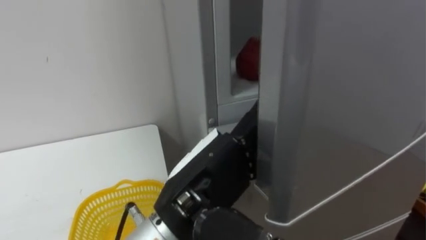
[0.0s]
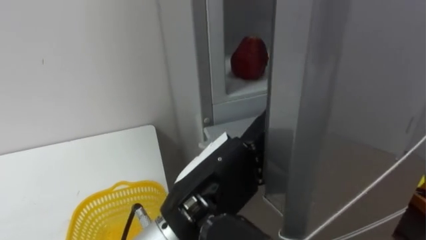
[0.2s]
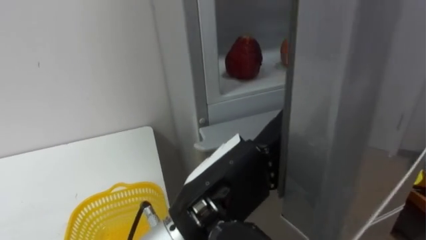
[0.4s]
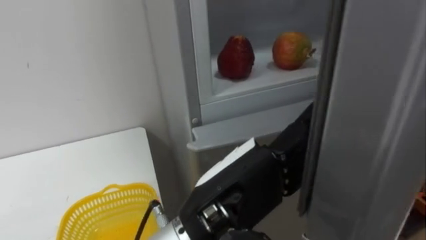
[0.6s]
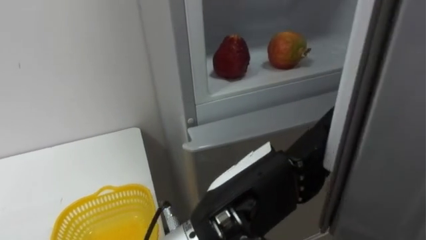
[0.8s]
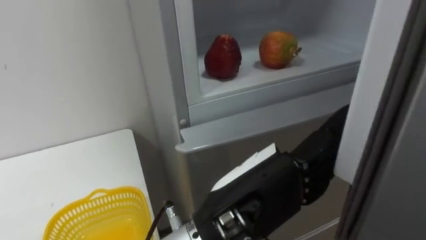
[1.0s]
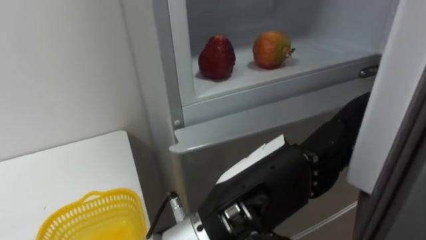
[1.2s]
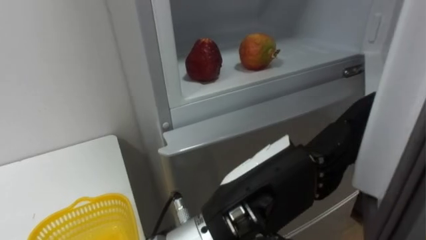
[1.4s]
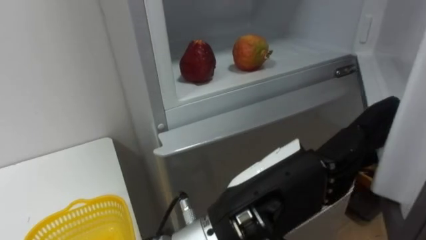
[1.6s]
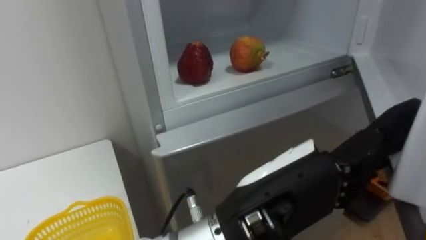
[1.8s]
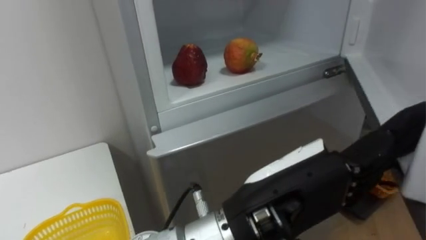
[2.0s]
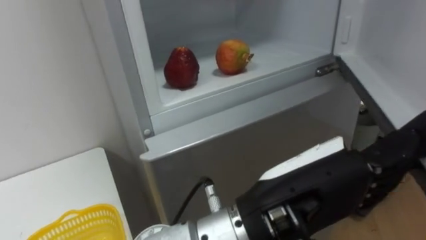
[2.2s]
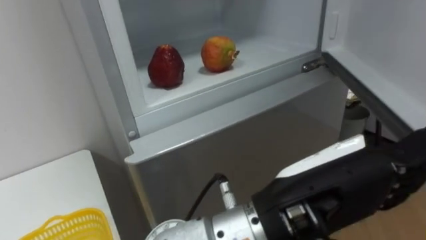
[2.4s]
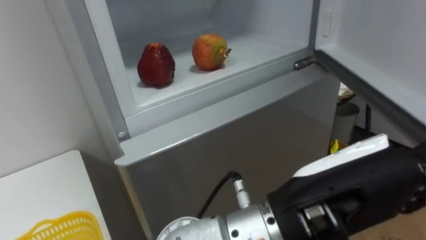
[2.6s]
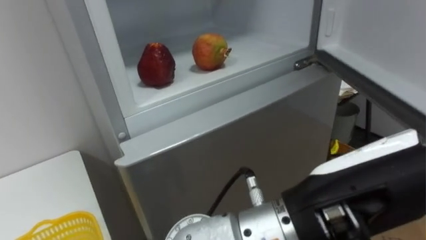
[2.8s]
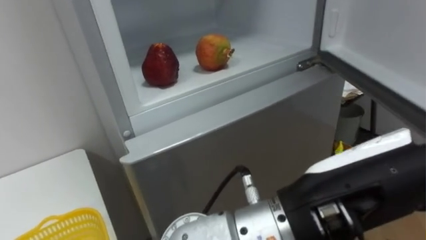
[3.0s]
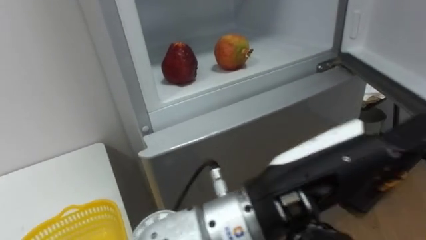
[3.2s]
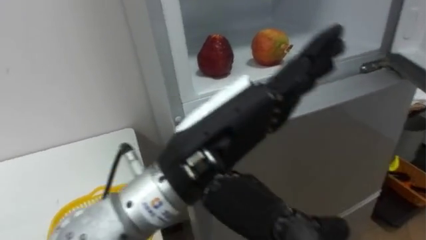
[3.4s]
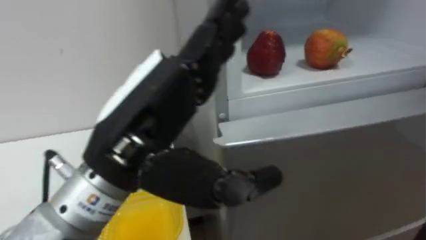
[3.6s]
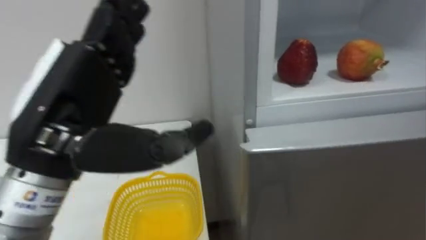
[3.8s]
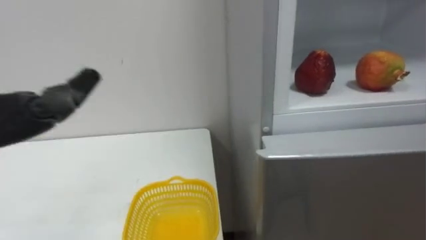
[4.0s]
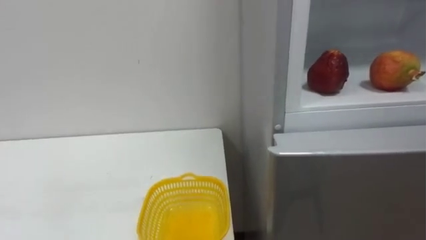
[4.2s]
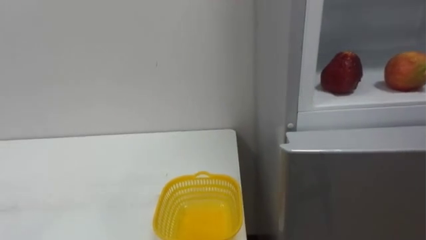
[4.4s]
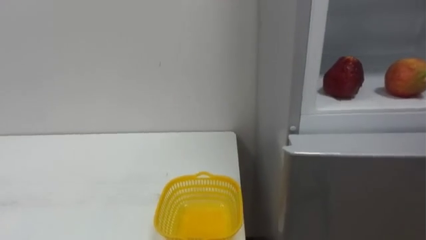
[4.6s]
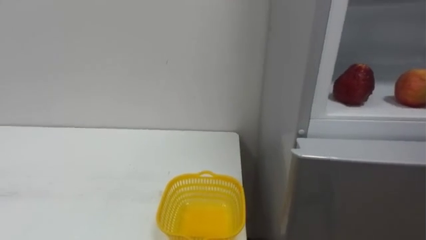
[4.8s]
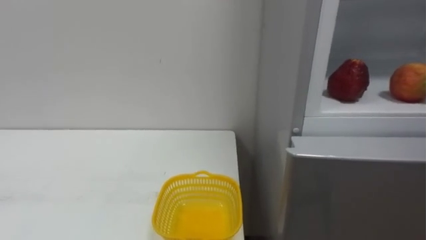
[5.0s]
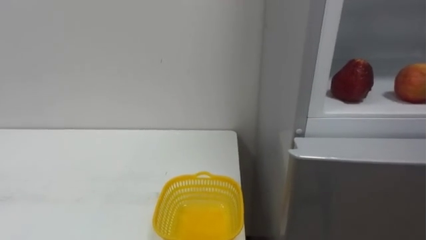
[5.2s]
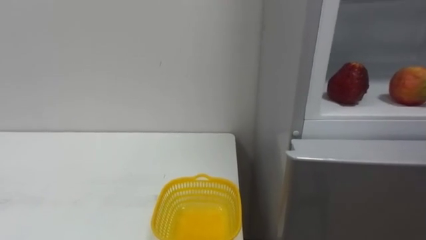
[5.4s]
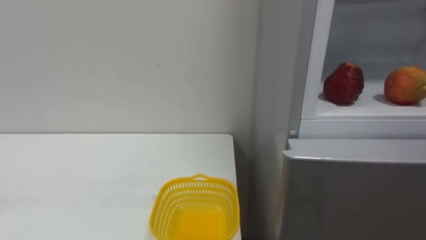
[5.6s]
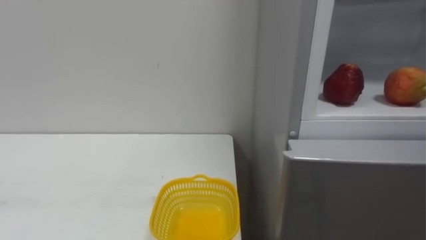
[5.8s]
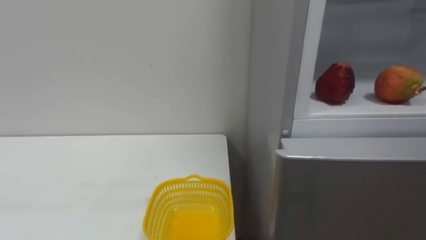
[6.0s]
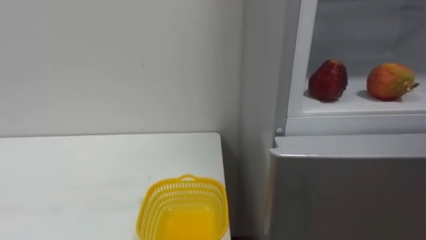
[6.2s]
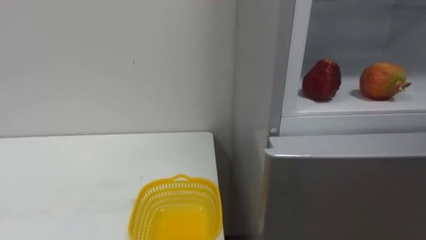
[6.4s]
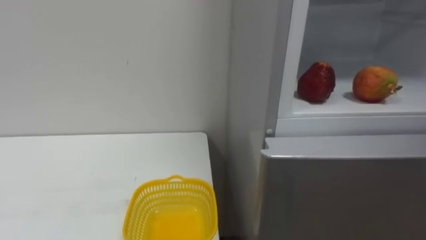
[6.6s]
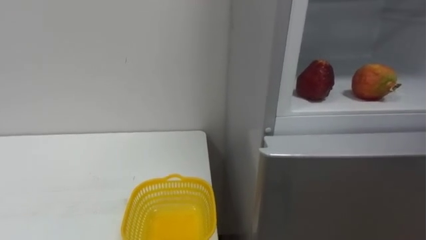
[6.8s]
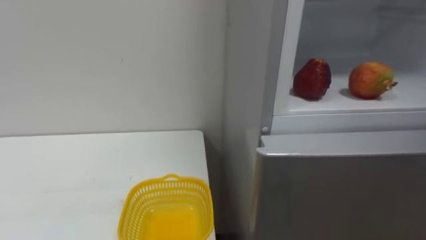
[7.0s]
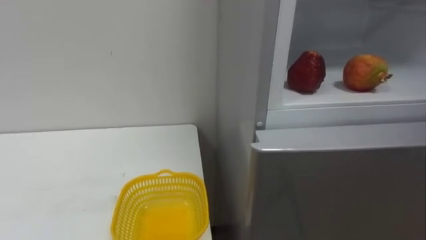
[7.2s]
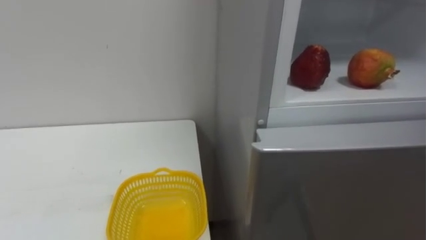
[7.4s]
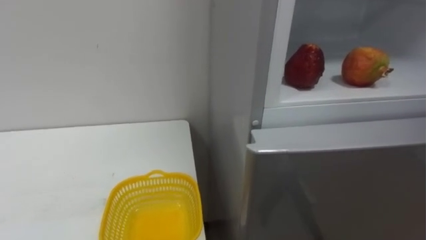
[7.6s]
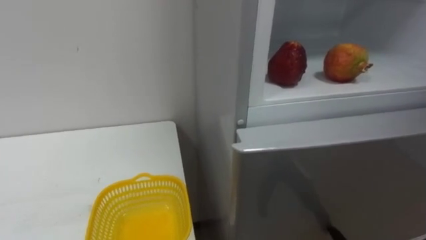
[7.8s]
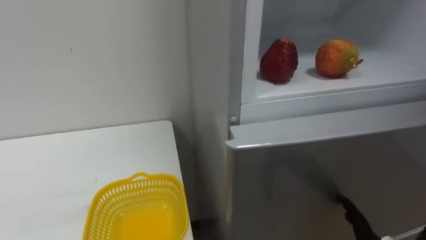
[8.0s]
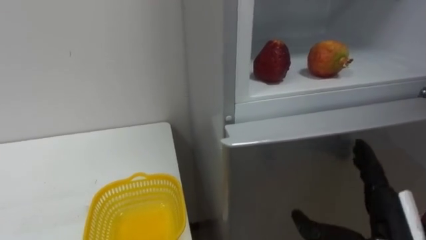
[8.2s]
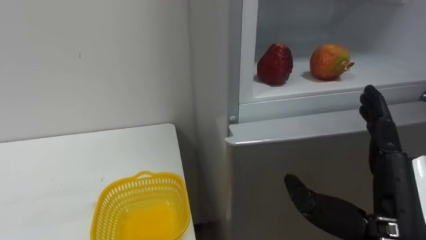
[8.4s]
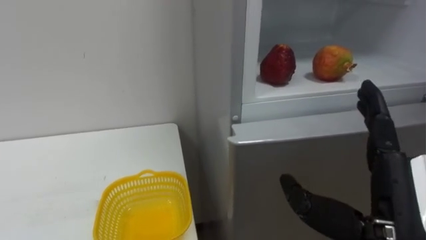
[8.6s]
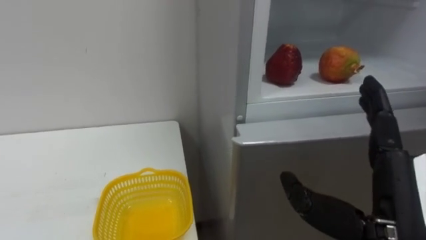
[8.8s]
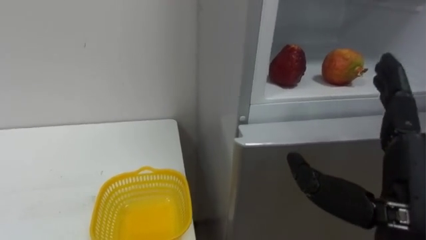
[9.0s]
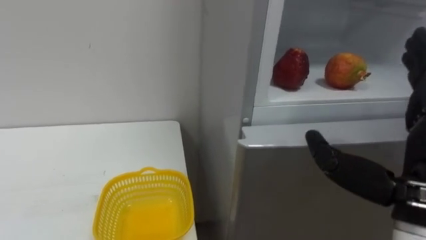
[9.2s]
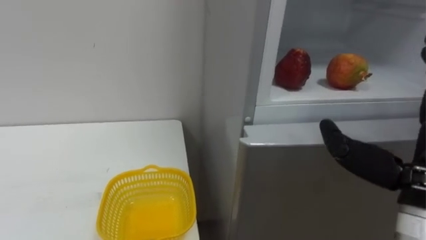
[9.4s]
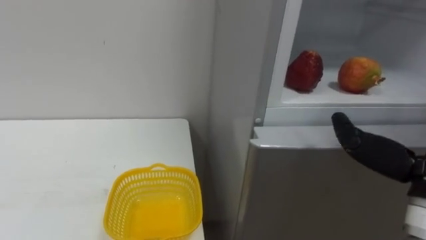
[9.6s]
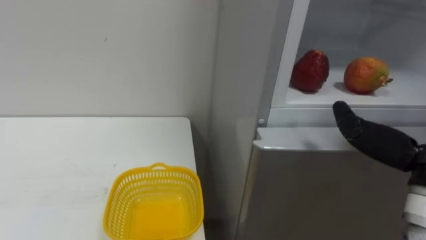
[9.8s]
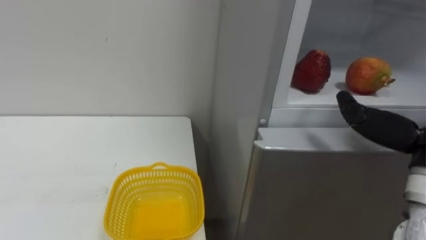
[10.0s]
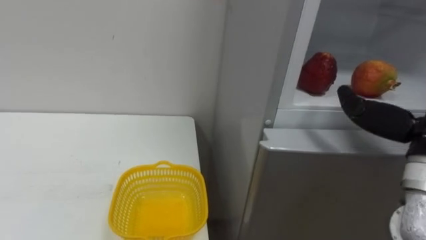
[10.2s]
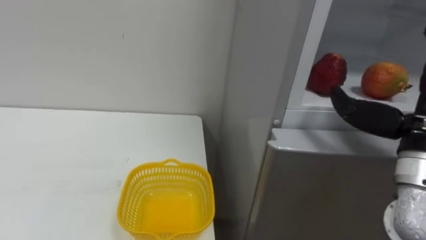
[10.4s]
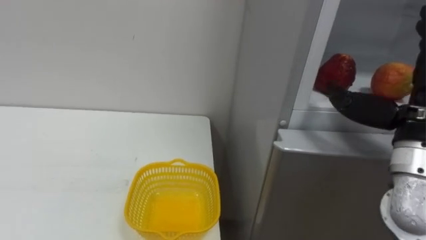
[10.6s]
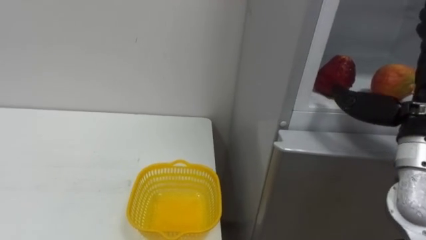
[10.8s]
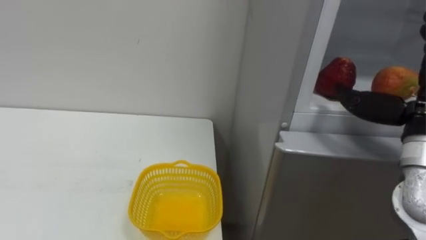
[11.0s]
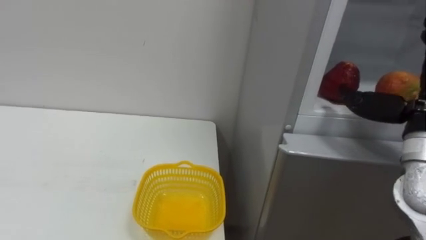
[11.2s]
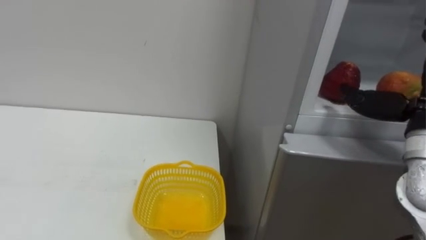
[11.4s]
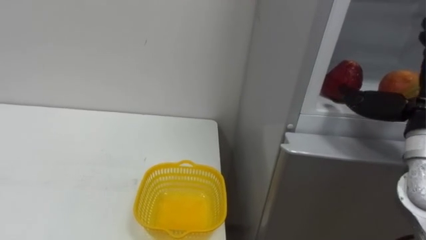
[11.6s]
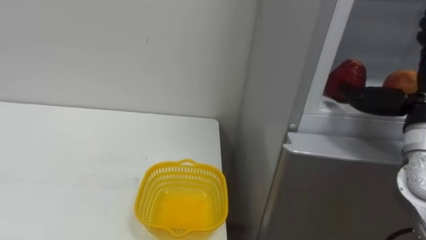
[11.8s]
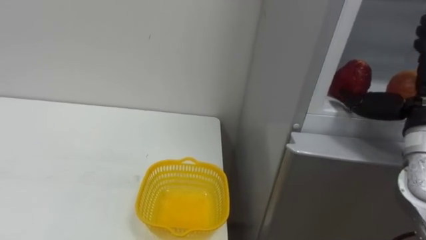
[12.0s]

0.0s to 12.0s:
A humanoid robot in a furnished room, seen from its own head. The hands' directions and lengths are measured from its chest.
Task of the whole recording: Open the refrigerator door, take out the apple and the pomegranate, place them in the fruit basket on the left, and close the refrigerator door.
0.0s to 1.6s: The left hand heads to the right, covering some 5 cm.
1.6s to 3.0s: The left hand is displaced to the right by approximately 5 cm.
10.4s to 12.0s: The right hand moves forward, roughly 5 cm.

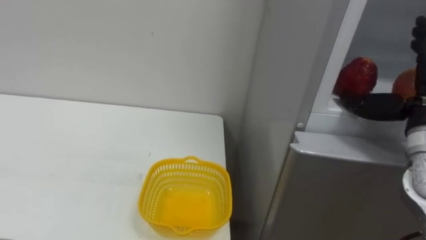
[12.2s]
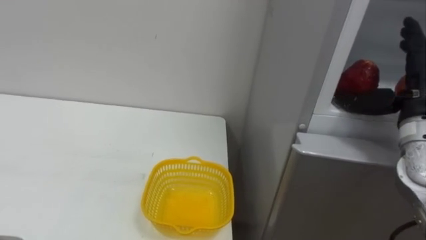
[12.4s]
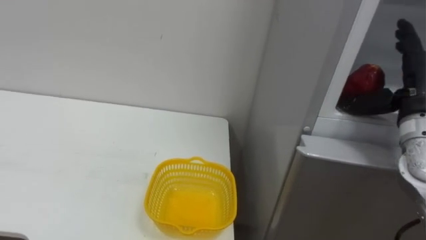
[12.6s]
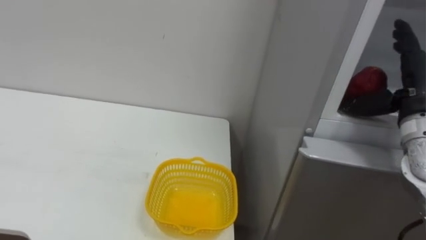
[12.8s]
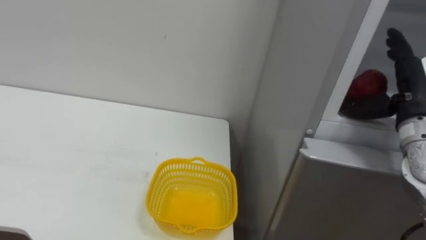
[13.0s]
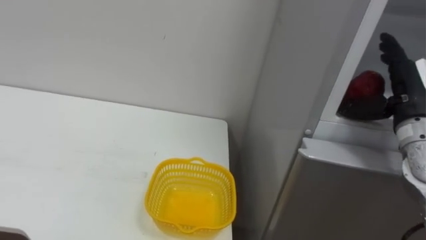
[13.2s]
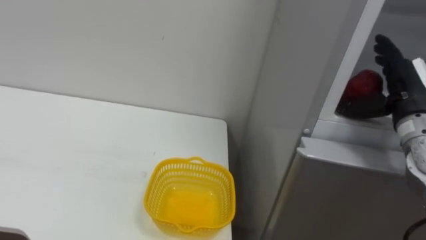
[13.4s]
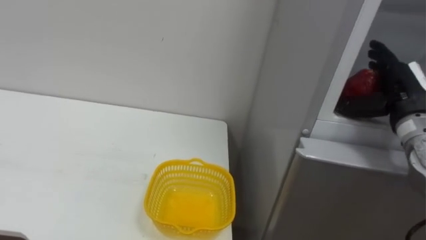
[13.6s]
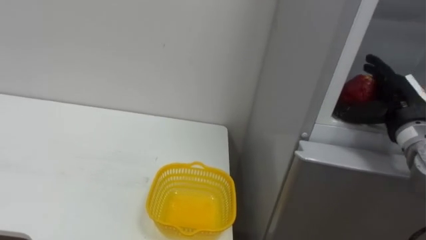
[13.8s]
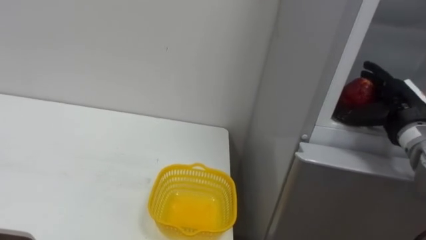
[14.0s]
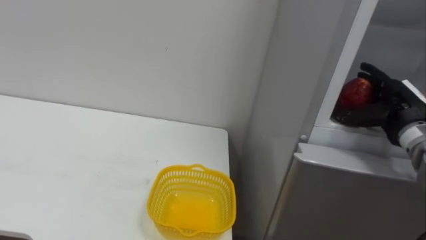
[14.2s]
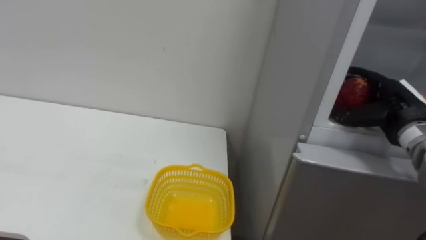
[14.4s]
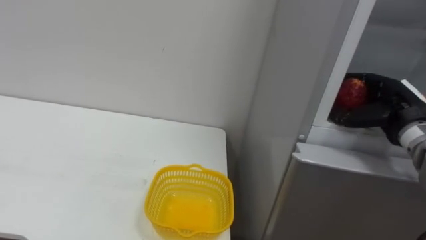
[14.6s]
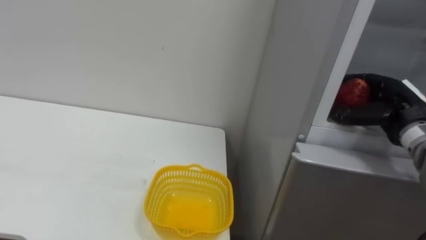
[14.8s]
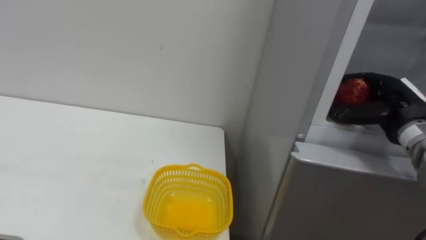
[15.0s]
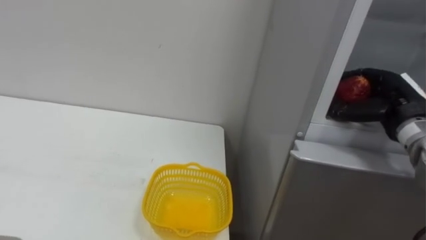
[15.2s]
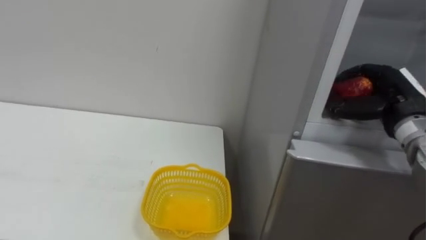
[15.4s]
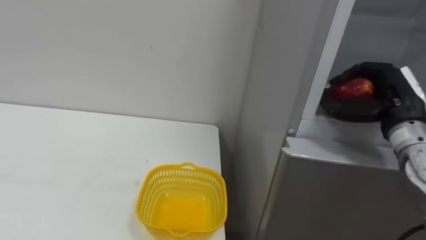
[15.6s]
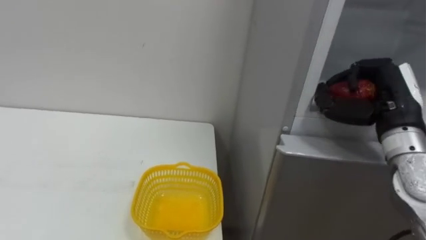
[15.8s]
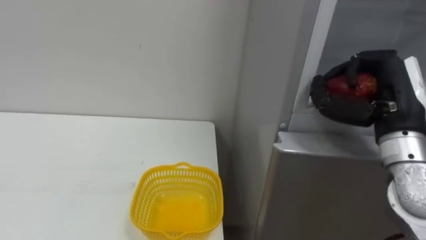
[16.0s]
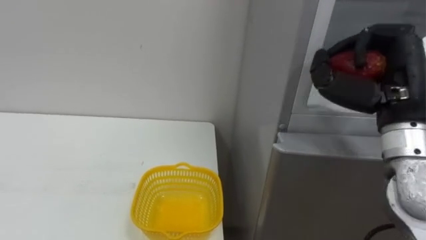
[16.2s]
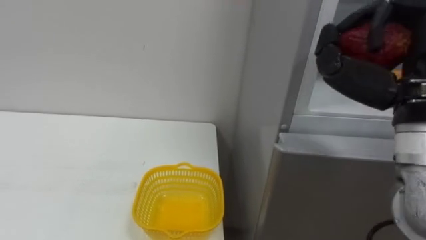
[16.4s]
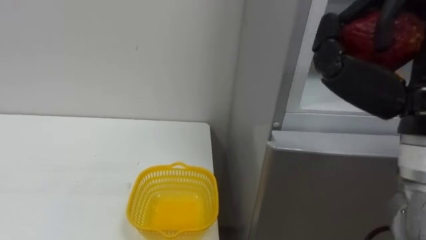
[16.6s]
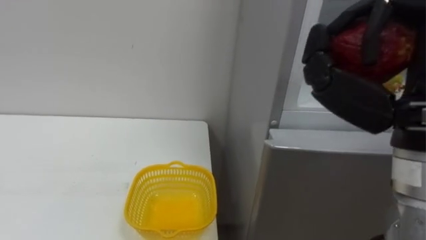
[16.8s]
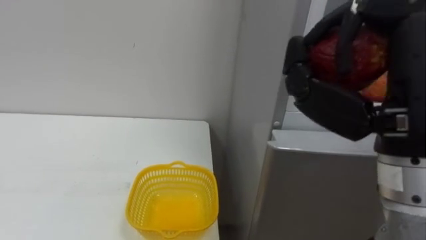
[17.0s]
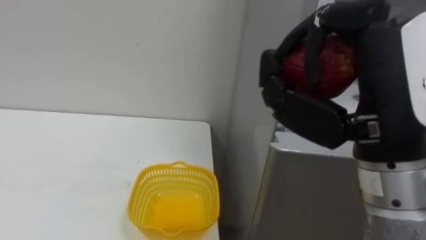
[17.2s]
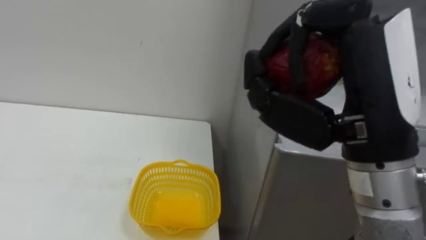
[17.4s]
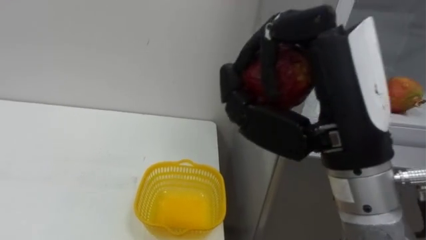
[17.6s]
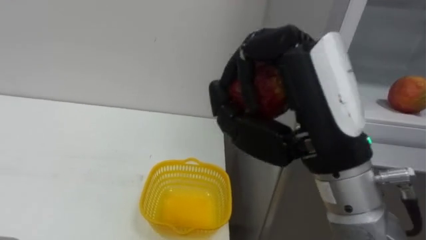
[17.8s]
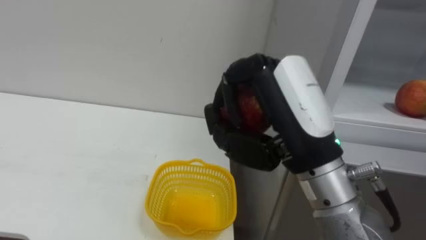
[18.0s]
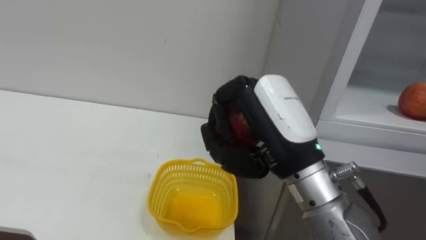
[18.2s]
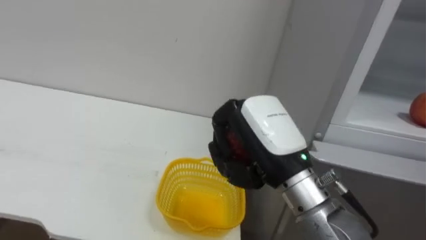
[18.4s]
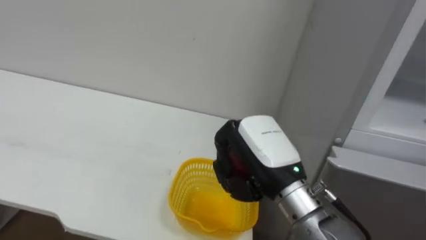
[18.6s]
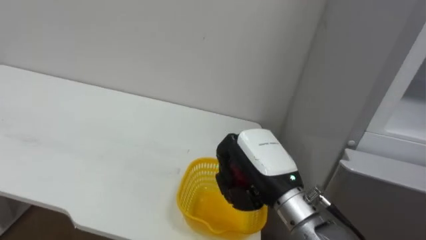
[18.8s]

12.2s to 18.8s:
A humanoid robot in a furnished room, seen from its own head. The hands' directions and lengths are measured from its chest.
Task of the whole recording: Open the refrigerator door, take out the apple and the pomegranate, place them in the fruit basket on the left, and close the refrigerator door.
12.2s to 13.8s: The right hand travels forward by roughly 5 cm.
13.8s to 15.4s: The right hand closes its fingers.
15.4s to 17.2s: The right hand travels backward, to the left and upward by approximately 25 cm.
17.2s to 18.8s: The right hand heads downward, forward and to the left, covering some 20 cm.
